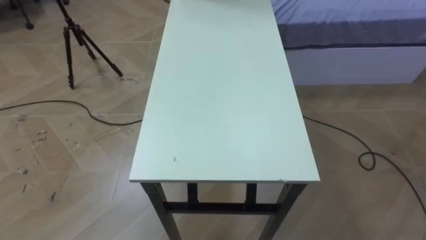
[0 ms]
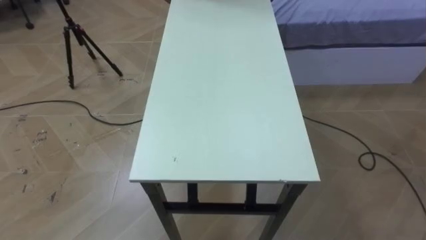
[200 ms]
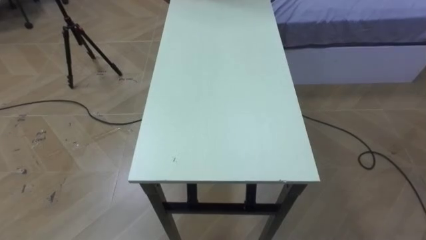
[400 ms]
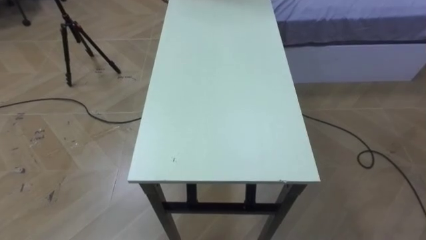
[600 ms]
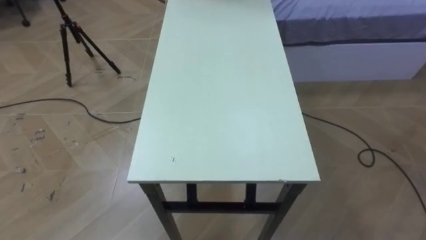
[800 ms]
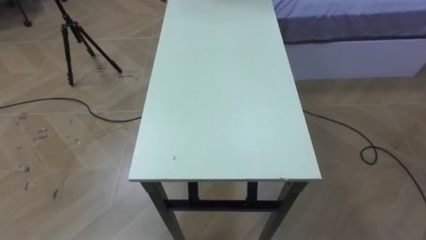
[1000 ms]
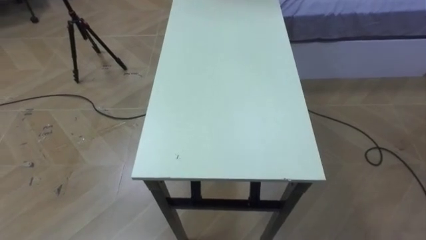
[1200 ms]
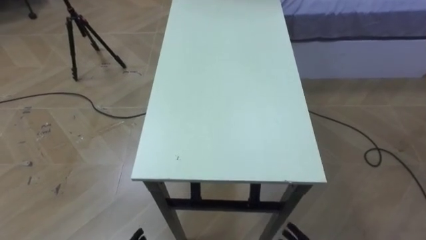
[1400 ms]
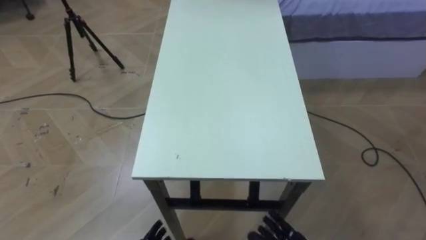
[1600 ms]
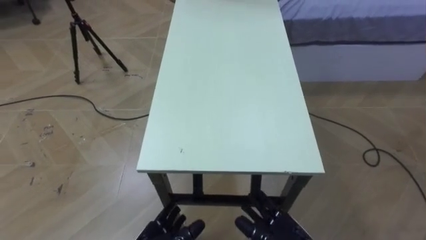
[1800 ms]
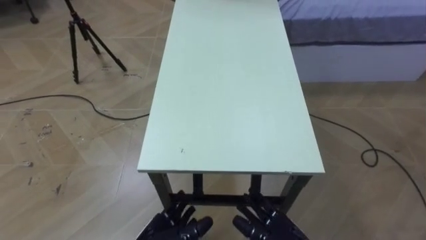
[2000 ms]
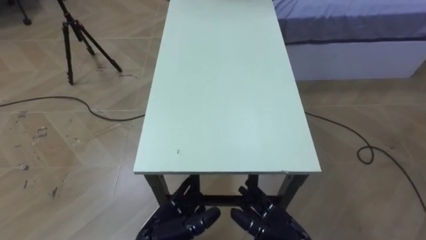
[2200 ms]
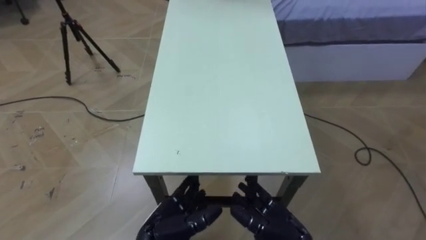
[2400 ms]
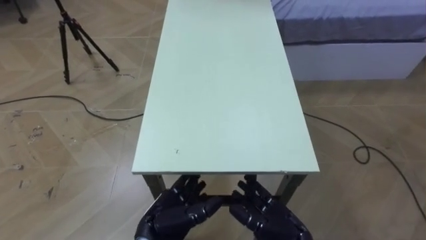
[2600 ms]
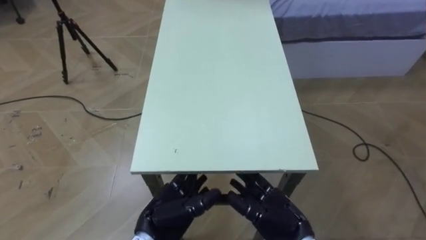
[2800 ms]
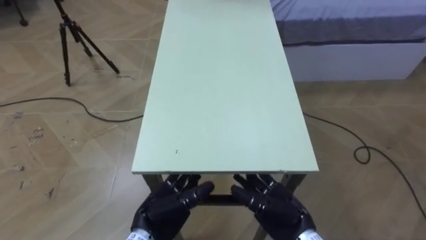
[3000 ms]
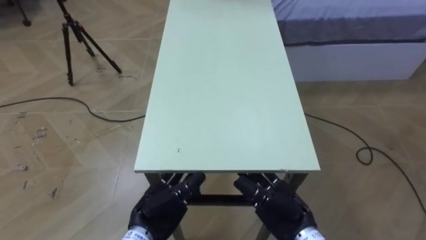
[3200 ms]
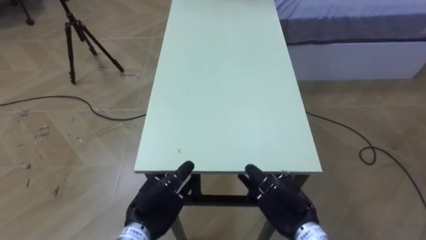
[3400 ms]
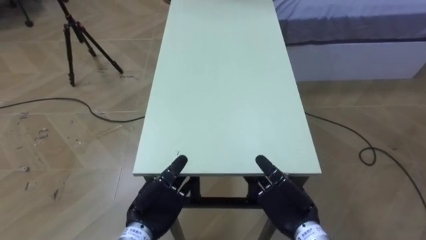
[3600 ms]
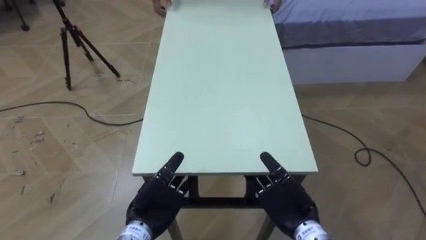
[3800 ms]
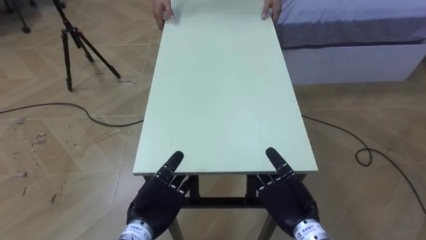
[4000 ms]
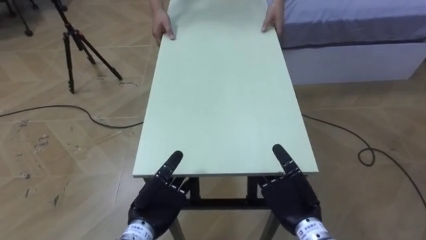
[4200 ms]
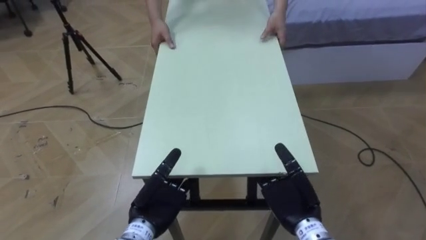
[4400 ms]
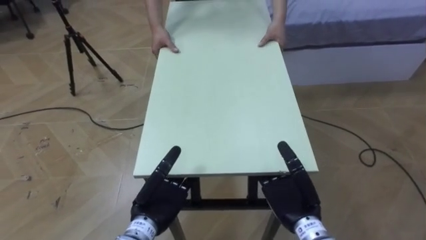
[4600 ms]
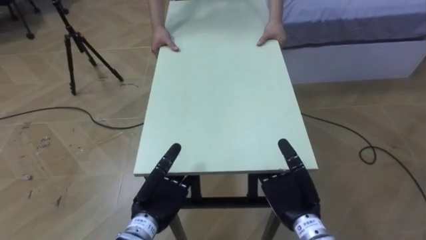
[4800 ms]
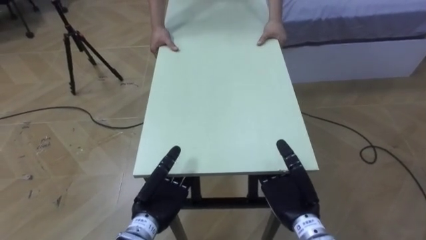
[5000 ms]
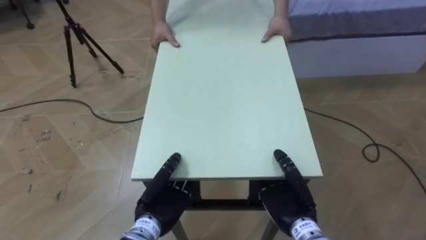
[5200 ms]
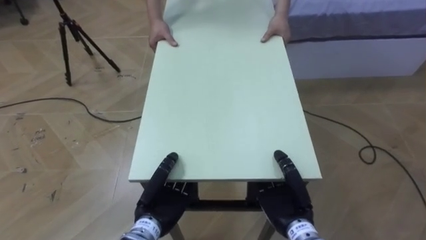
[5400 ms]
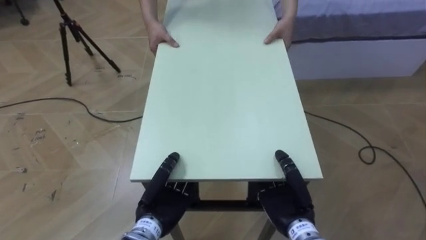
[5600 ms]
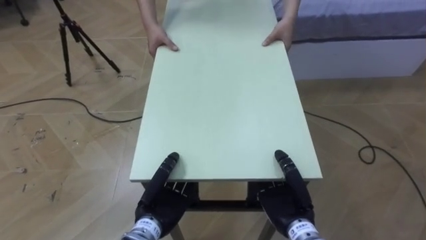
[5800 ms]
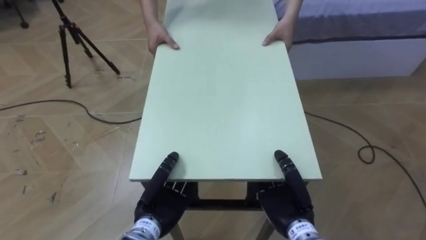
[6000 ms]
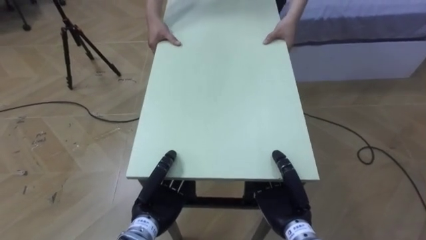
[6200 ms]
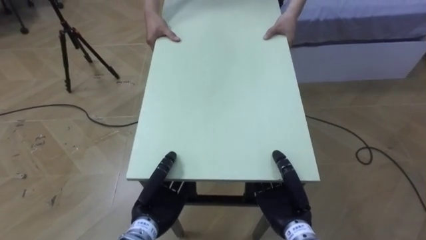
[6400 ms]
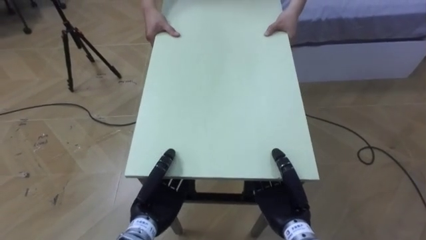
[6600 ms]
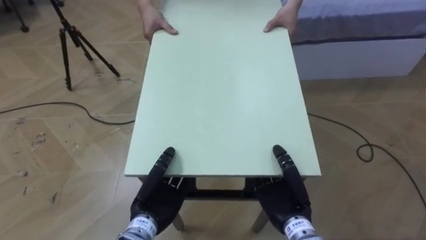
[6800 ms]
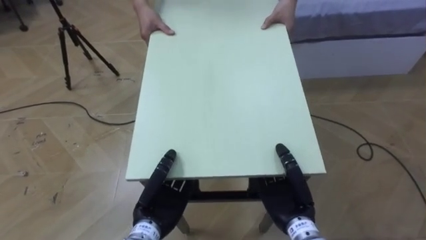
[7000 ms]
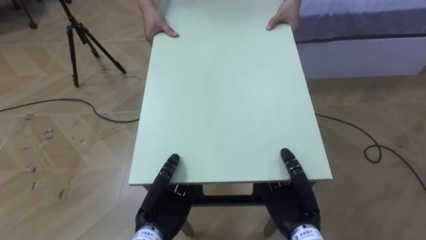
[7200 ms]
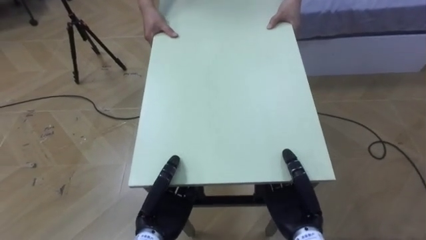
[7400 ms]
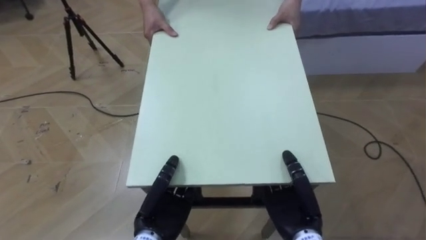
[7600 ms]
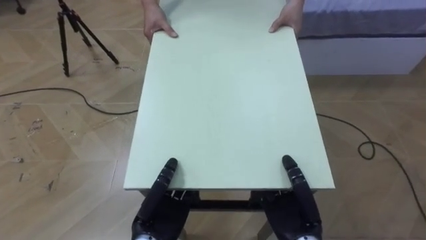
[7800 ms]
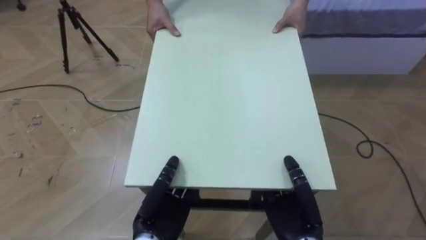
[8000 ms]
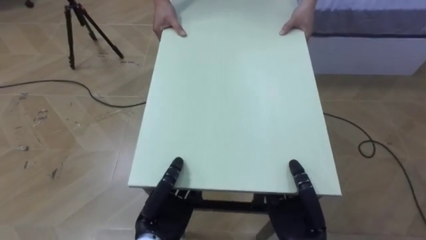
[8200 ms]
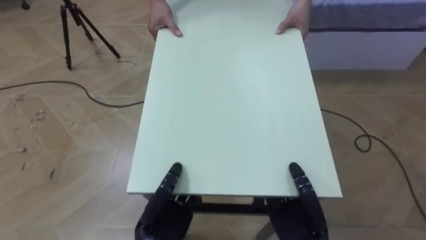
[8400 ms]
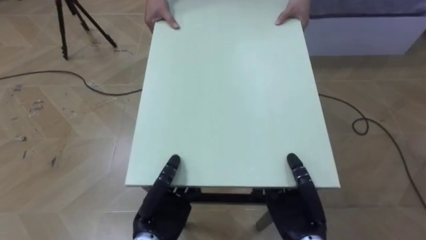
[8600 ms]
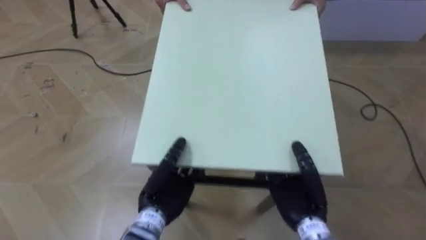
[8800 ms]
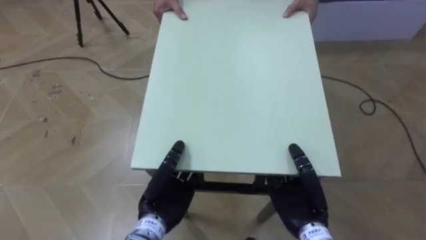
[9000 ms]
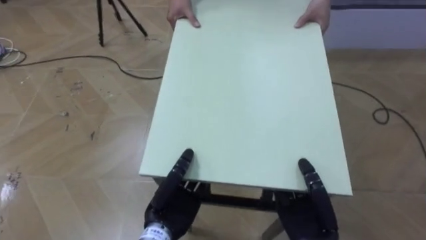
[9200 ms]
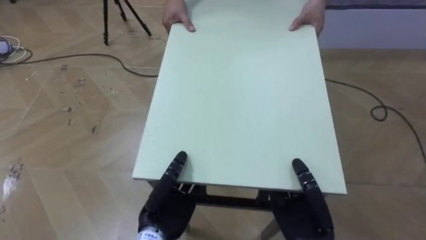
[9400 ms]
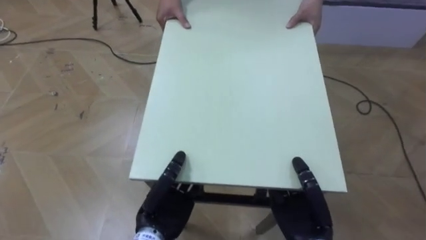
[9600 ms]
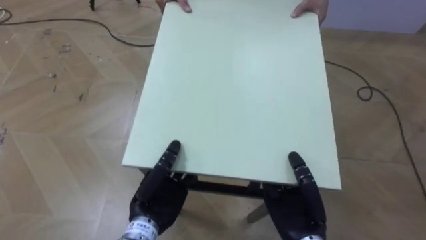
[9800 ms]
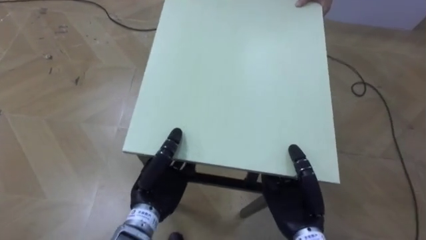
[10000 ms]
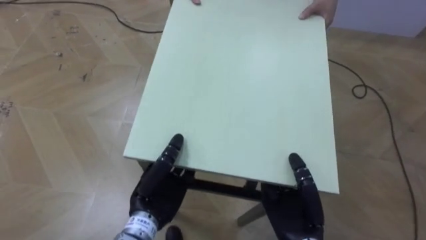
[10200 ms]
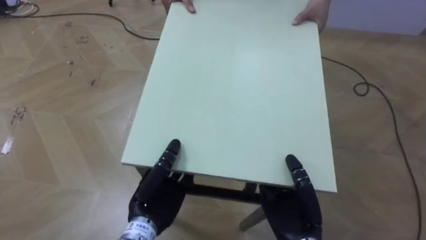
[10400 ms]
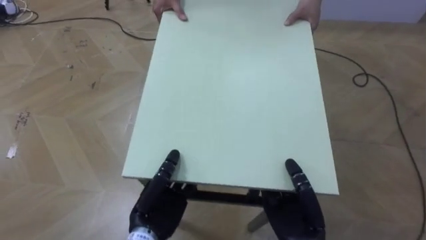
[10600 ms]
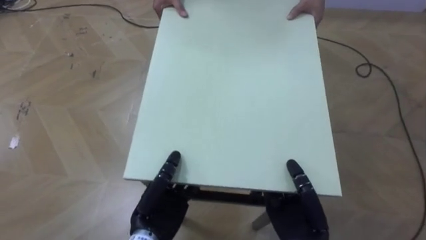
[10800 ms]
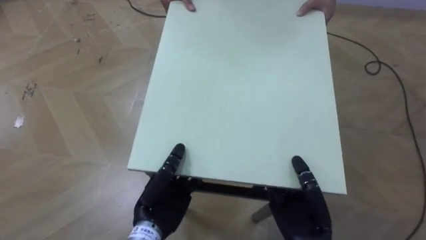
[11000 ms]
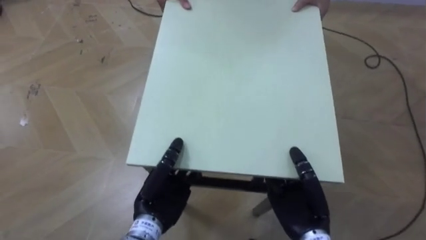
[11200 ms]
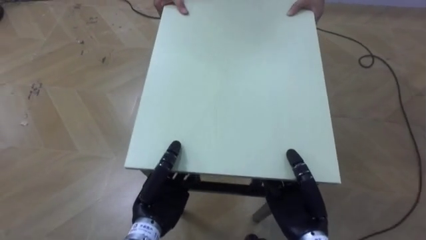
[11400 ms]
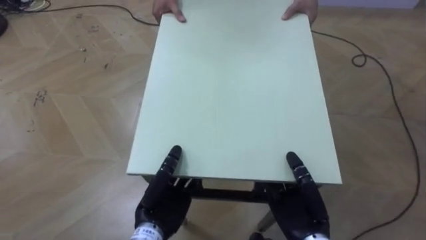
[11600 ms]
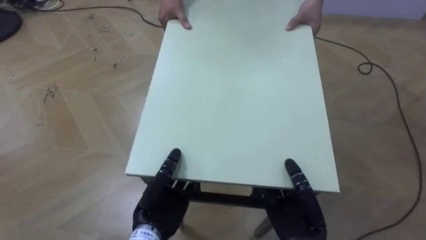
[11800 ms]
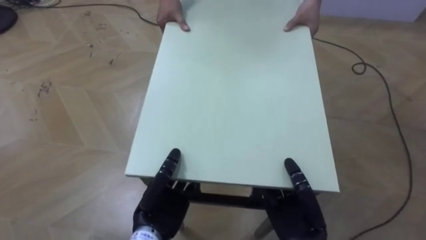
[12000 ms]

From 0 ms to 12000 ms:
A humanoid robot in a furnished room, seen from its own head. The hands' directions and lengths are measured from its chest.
Task of the whole recording: Move the table to the back left with someone.
From 4400 ms to 6000 ms: The left hand closes its fingers. The right hand closes its fingers.

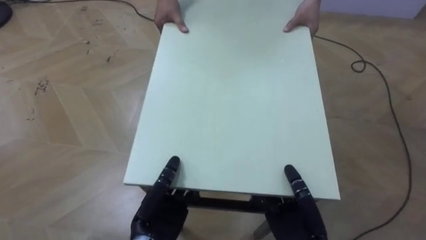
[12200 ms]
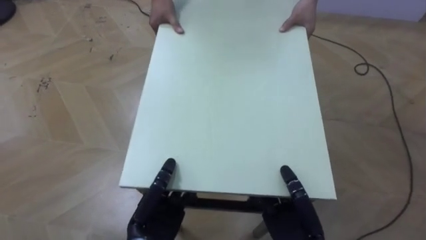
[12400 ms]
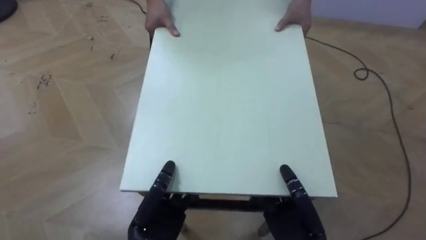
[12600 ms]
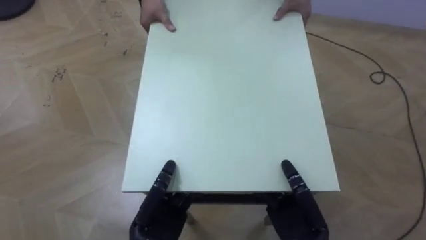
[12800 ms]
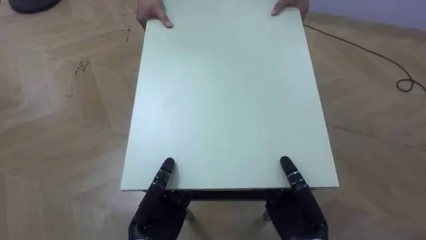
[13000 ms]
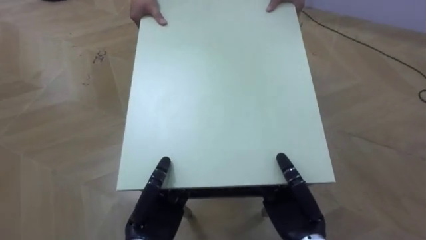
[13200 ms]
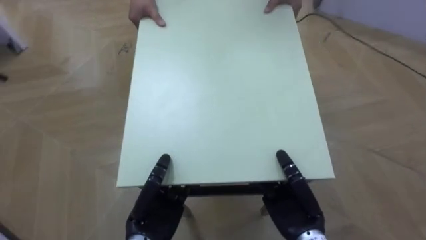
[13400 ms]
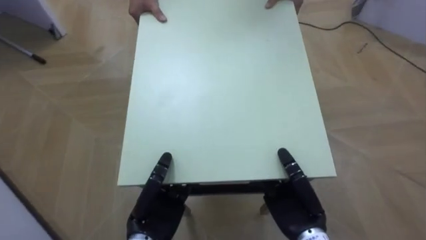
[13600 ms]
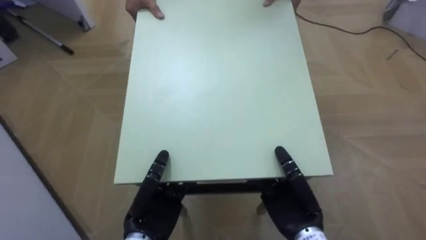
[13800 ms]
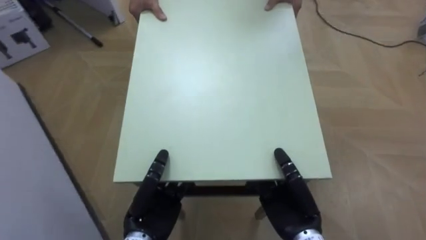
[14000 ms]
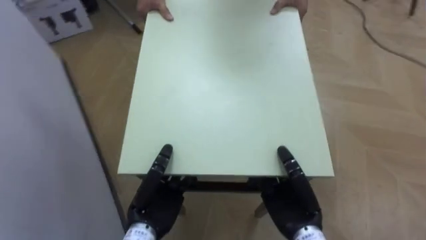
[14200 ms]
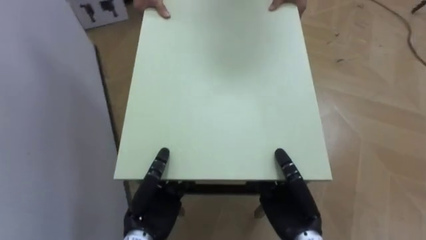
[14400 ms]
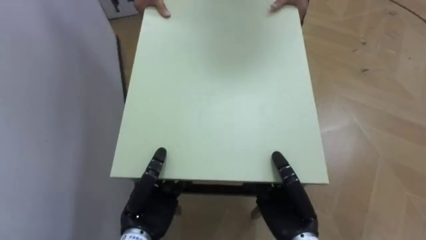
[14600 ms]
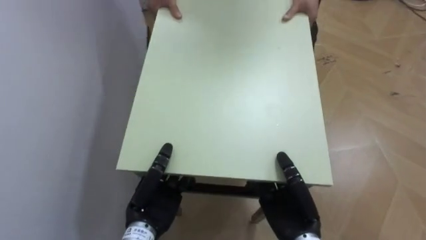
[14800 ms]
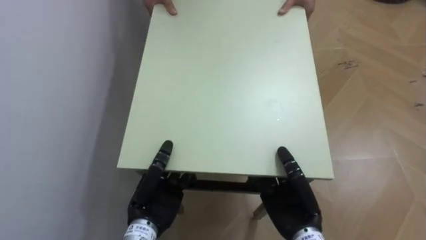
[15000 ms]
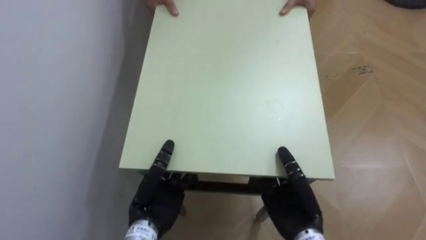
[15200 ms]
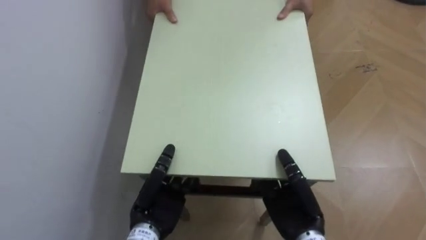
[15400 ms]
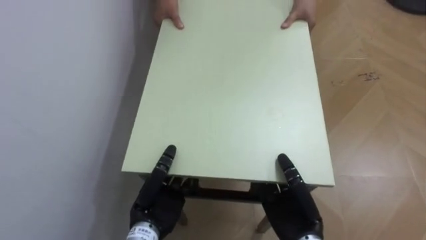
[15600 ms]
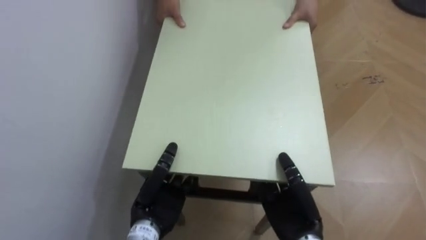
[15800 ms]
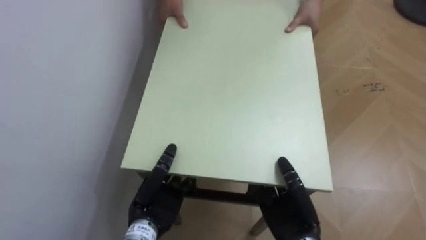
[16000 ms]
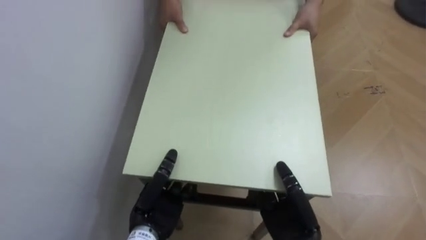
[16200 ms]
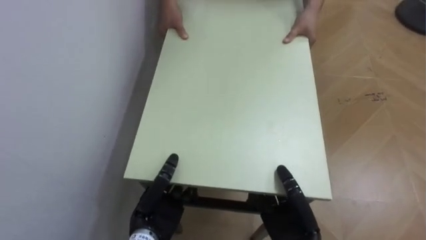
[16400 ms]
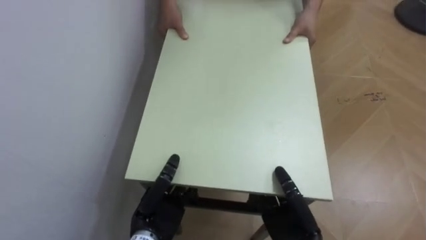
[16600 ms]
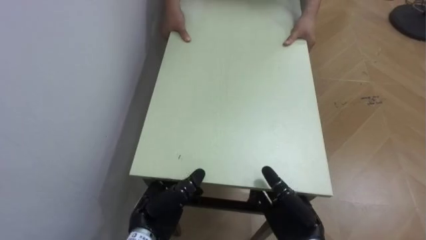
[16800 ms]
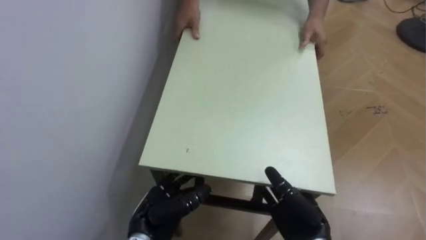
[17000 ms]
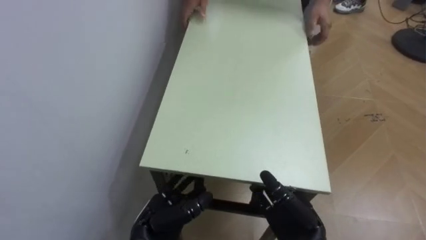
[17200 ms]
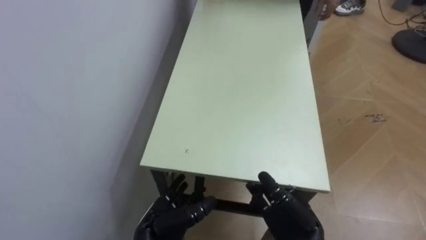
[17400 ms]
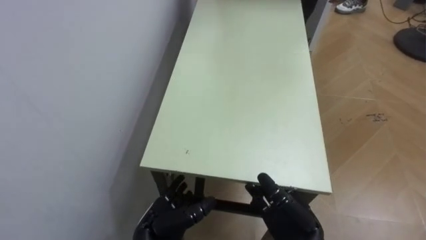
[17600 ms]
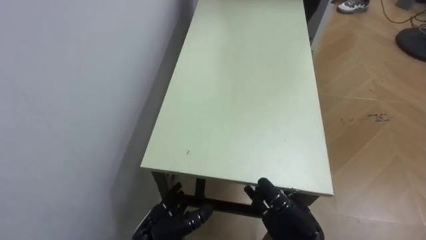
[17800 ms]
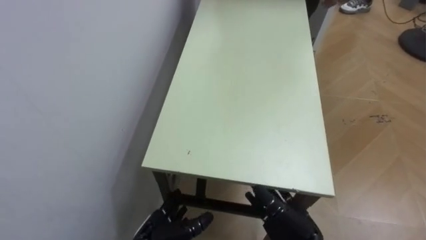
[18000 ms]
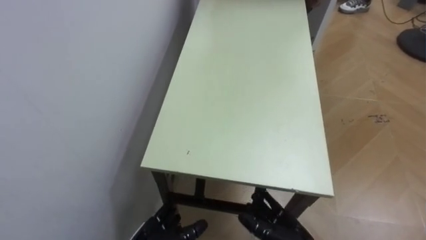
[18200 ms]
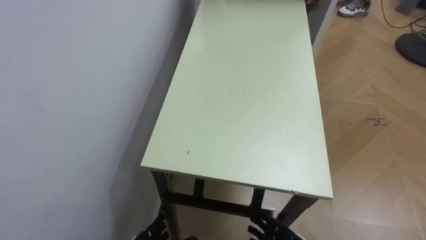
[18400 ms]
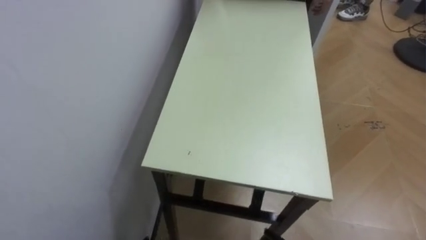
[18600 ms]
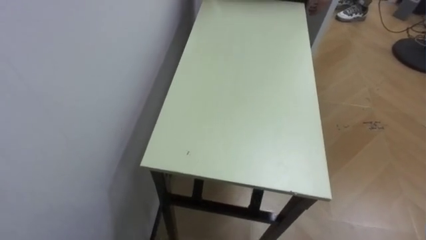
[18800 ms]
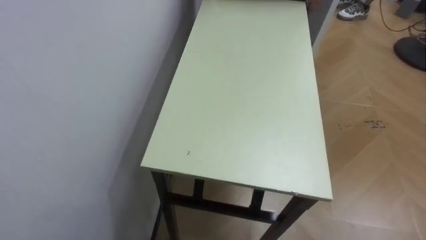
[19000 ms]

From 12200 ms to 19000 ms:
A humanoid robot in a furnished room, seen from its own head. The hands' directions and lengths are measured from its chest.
Task of the whole recording: Move the table to the back left with someone.
From 12200 ms to 13600 ms: The robot faces approximately 25 degrees further to its left.
From 13600 ms to 15000 ms: The robot turns to its left by about 50 degrees.
From 16200 ms to 17600 ms: The left hand opens up; the right hand opens its fingers.
